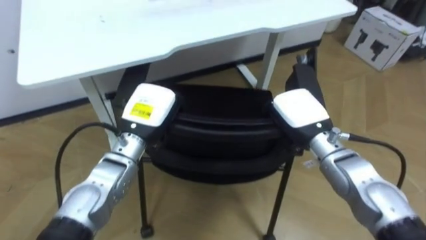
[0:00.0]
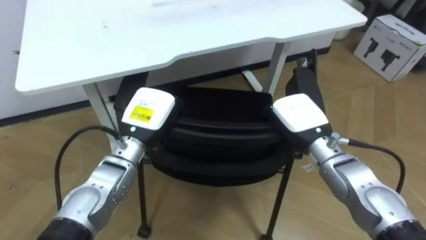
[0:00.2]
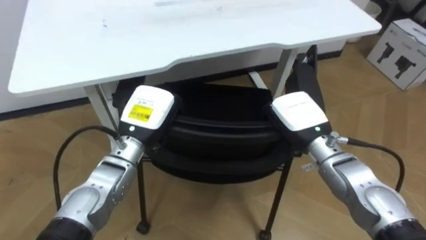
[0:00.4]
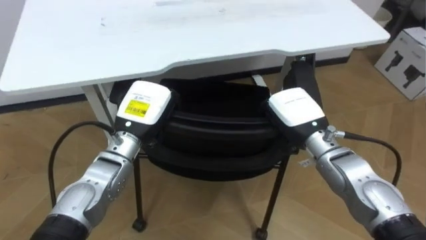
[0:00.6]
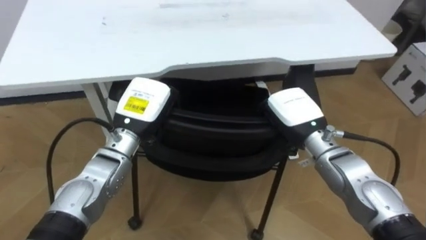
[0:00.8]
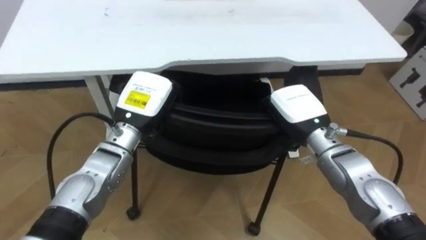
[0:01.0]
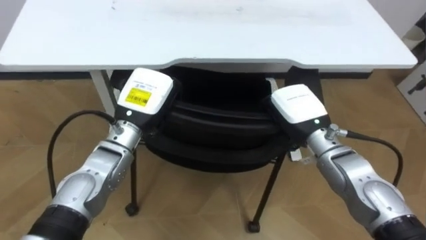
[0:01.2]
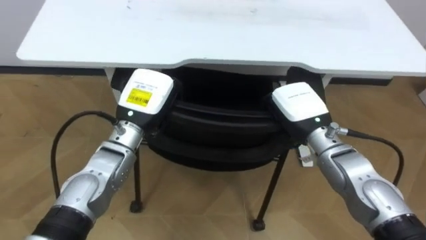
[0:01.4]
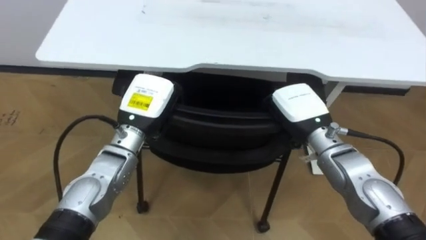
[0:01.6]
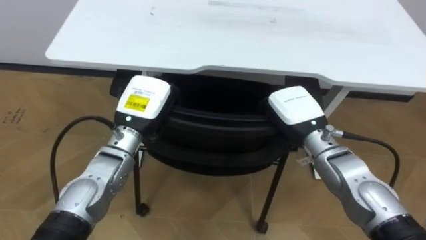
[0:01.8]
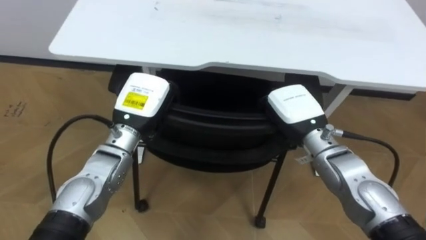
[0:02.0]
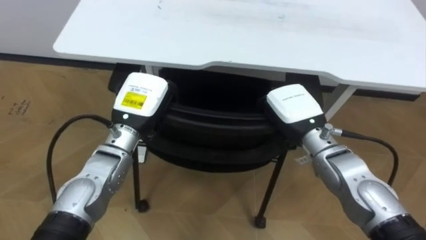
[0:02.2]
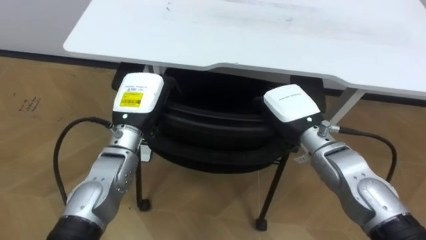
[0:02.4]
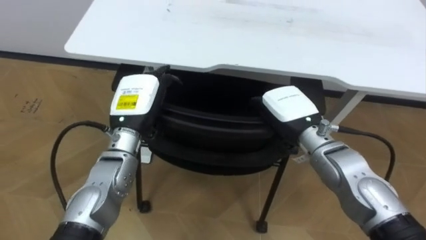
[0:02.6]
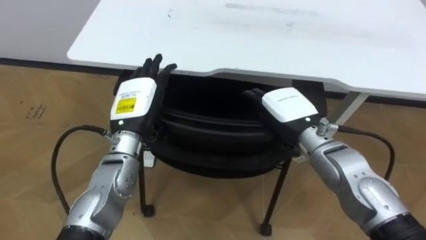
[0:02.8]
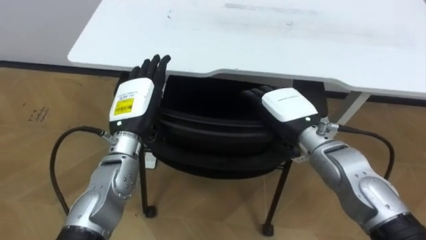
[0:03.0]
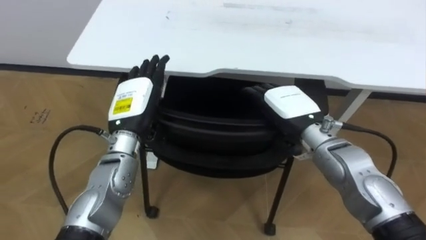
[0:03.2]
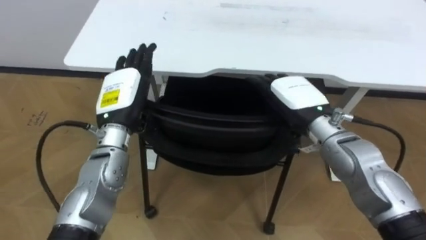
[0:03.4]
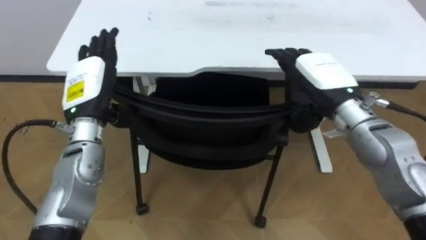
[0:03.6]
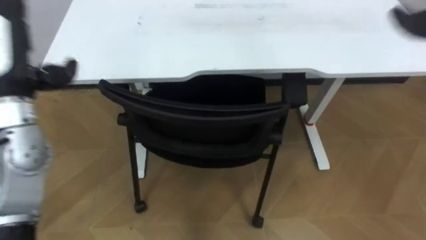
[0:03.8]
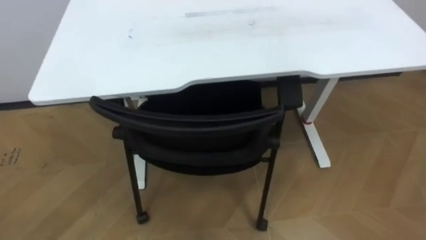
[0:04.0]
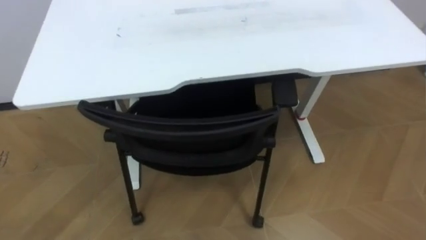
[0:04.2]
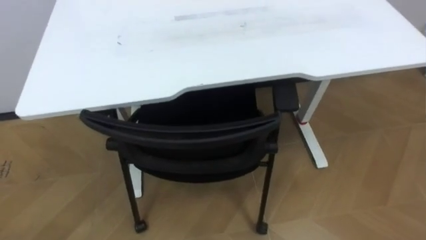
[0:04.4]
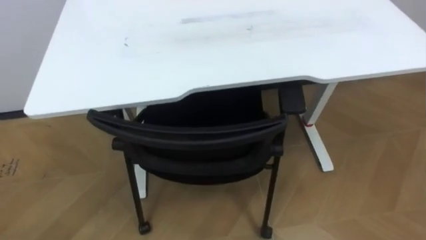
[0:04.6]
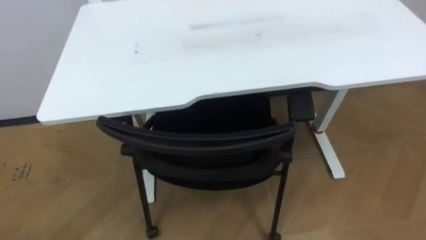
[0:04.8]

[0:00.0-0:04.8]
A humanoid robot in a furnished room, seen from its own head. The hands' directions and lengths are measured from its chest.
Task of the whole recording: Push the chair under the table.
0:00.0 to 0:01.6: The robot rotates about 20 degrees to its left.
0:01.6 to 0:03.2: The left hand opens; the right hand opens.

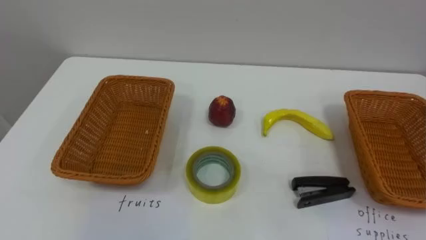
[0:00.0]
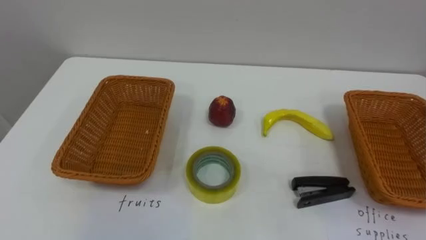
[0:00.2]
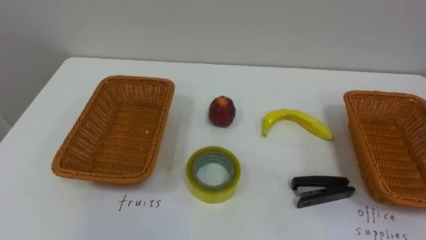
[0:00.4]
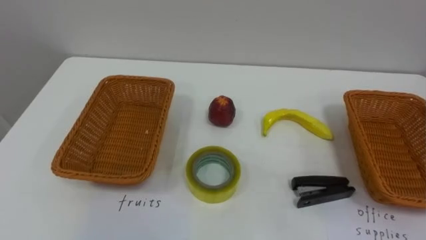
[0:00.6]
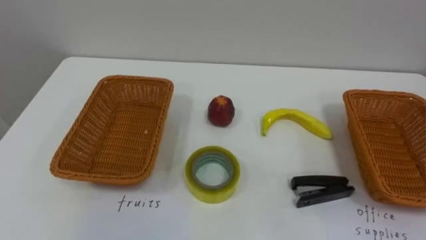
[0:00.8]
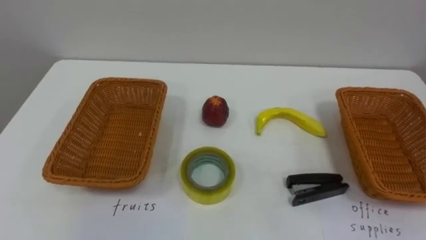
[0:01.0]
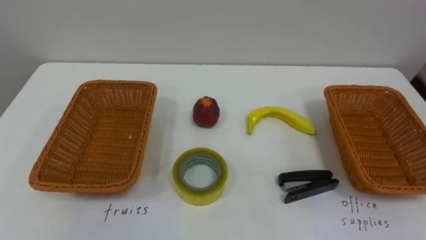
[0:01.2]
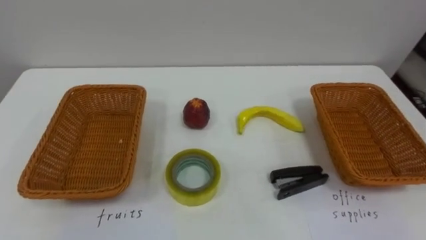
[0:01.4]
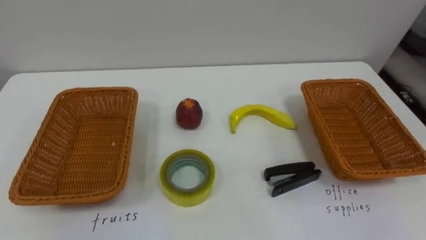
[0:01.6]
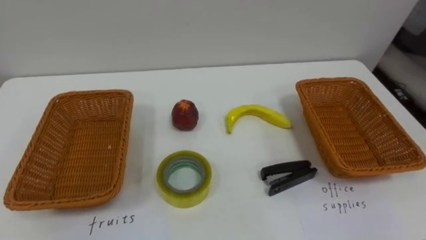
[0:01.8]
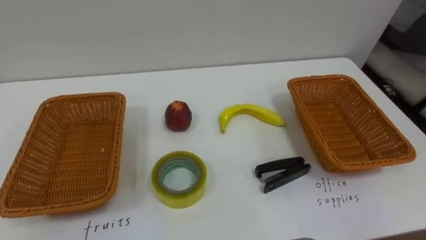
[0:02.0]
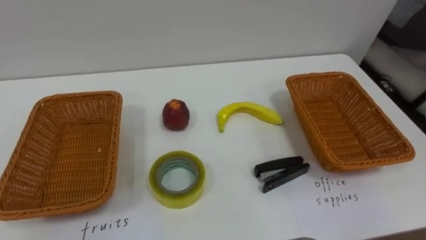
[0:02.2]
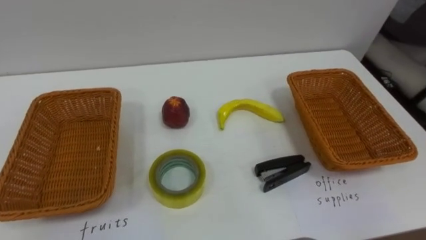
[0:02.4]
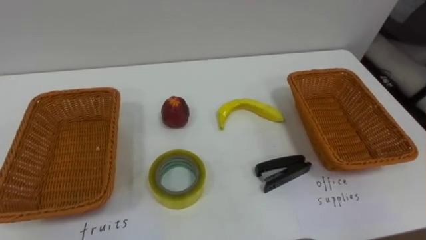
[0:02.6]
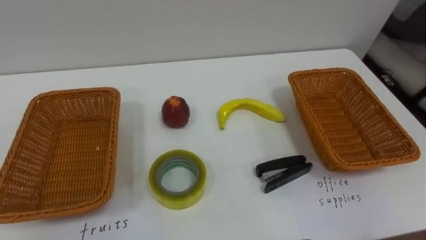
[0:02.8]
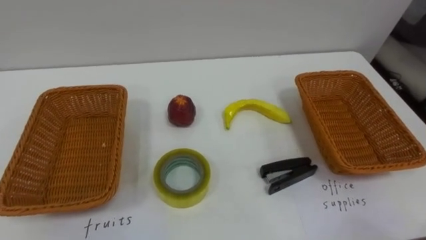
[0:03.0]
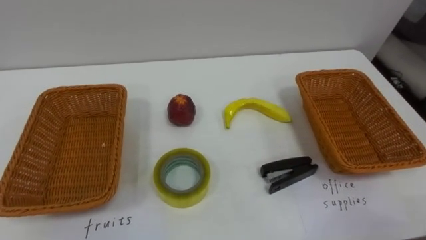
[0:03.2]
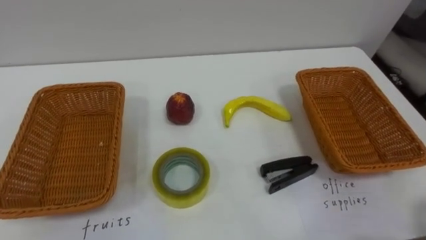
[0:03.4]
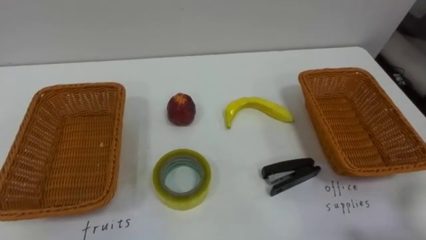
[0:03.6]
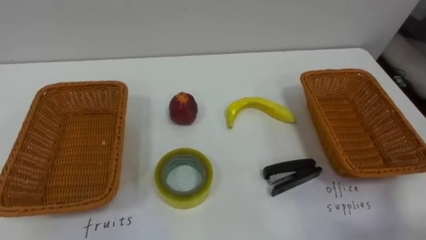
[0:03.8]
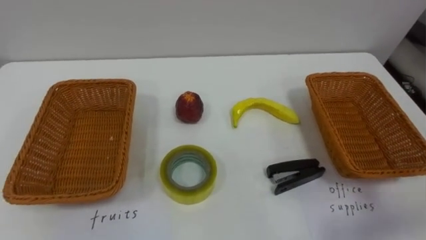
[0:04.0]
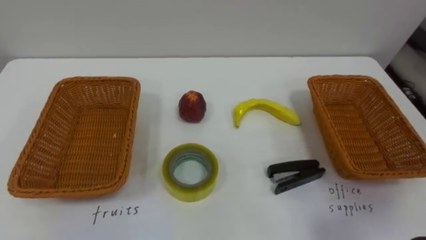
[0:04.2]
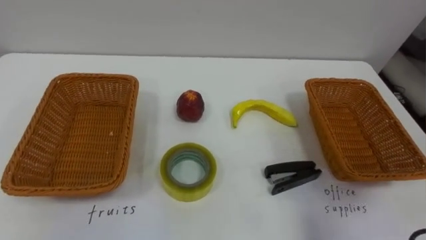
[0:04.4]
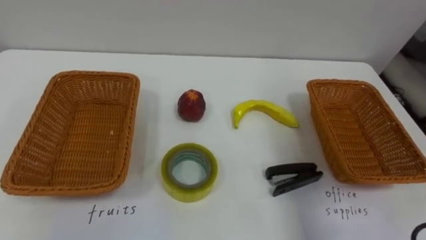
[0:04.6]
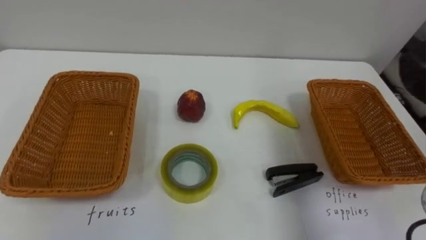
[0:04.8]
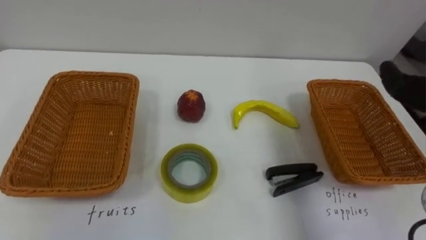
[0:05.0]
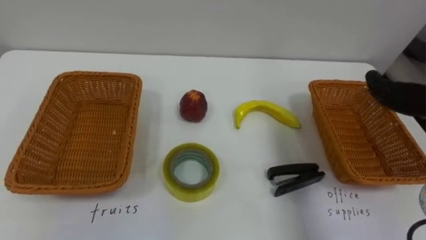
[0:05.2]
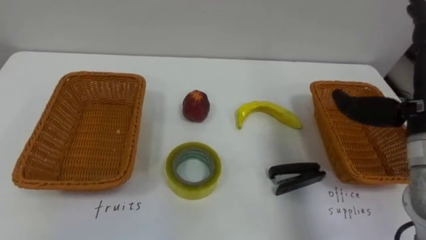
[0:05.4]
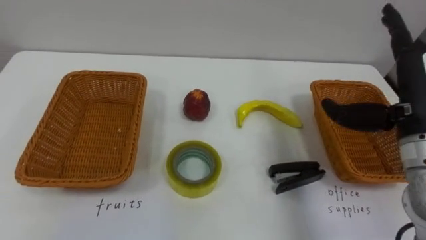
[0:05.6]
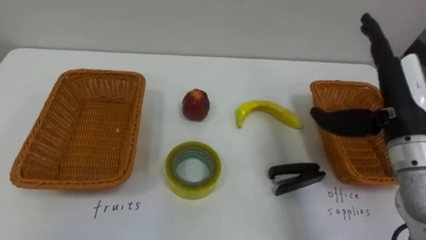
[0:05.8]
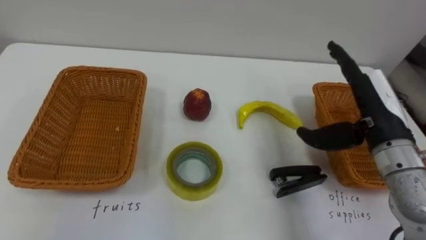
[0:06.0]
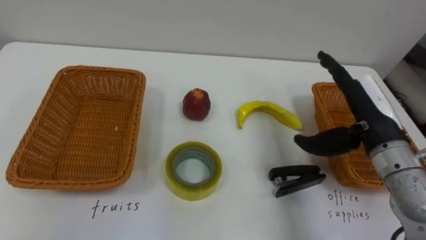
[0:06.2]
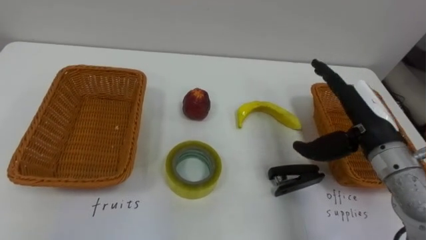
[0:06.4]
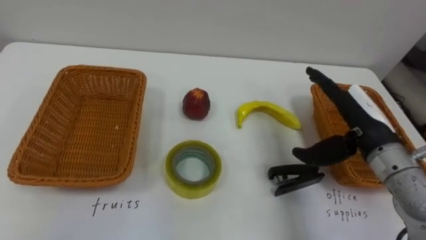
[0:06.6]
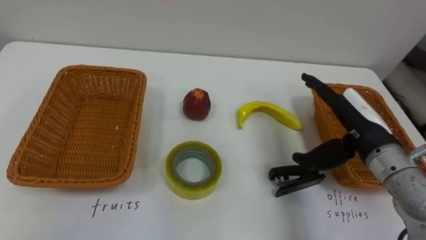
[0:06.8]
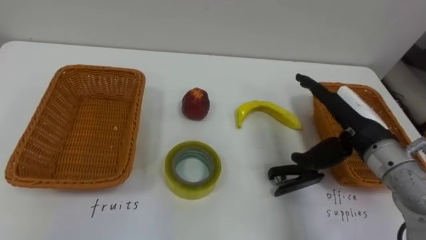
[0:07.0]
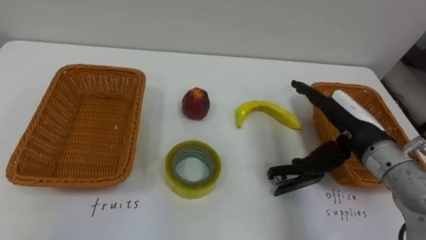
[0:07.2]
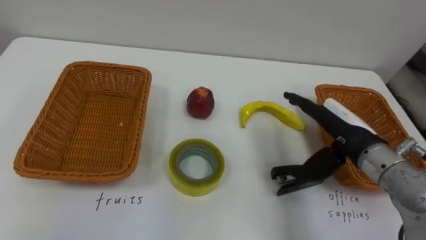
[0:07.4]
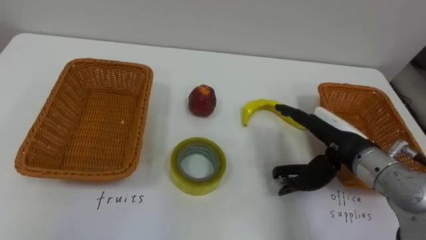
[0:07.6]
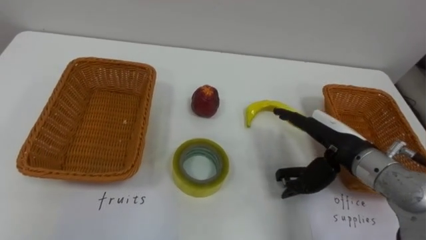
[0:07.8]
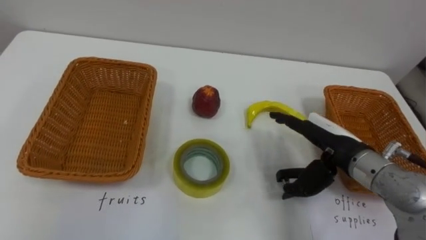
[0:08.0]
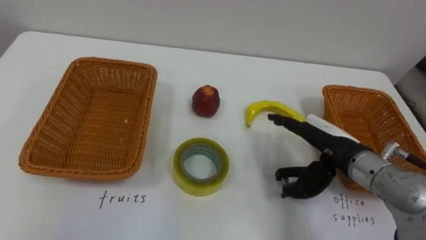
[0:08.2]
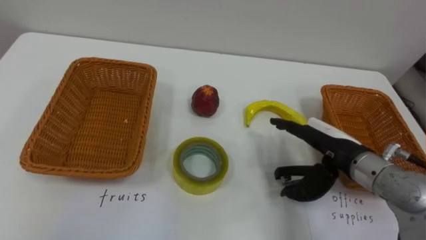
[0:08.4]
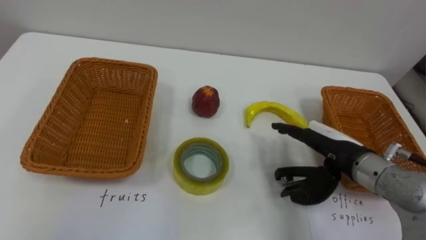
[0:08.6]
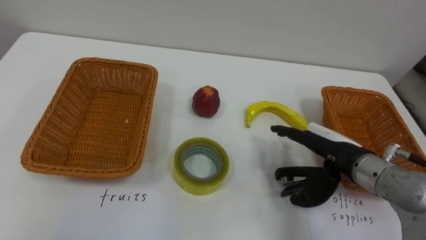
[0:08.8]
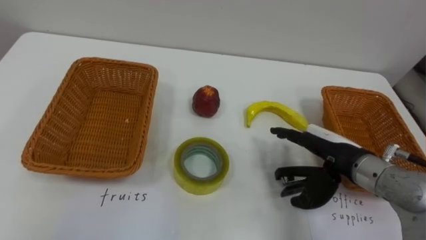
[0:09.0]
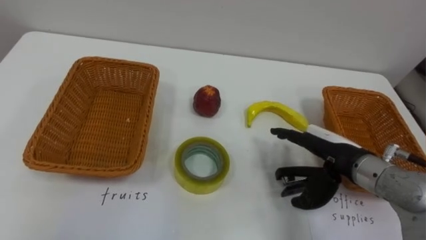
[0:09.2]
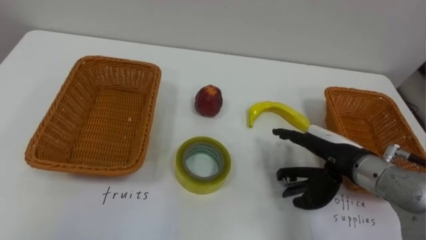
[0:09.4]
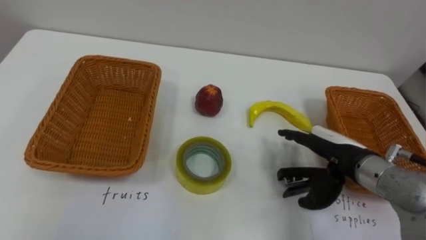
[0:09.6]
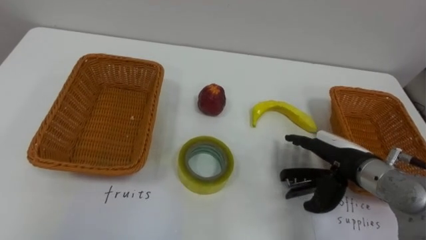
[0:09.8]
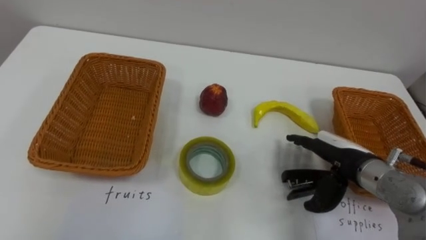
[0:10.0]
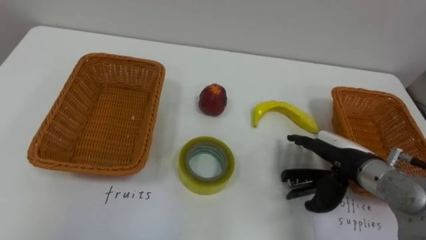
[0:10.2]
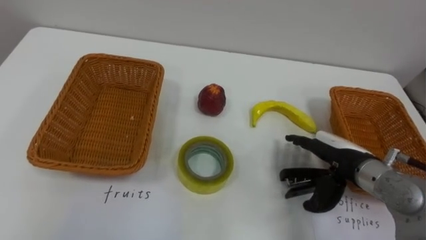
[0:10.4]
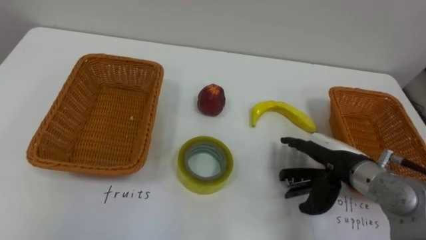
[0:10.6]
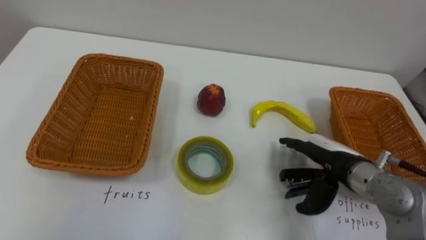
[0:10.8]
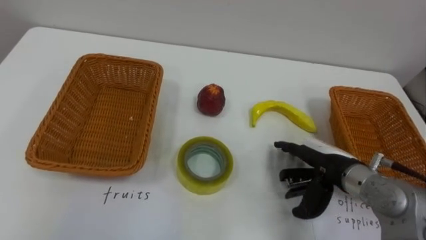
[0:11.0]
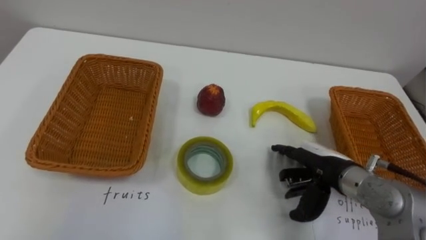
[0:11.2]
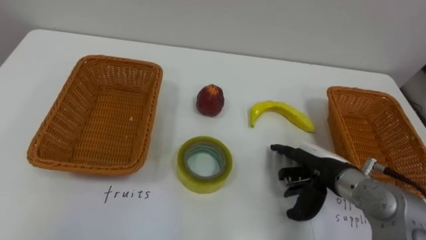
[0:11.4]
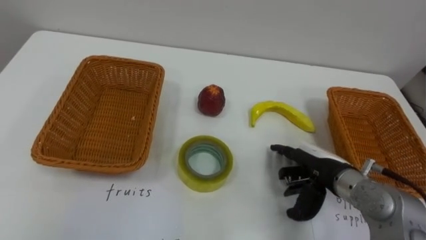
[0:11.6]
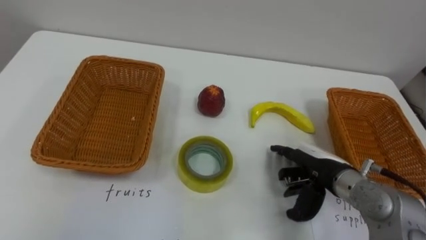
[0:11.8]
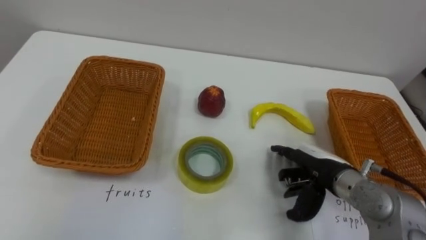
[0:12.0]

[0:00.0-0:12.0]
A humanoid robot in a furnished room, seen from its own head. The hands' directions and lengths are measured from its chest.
Task of the whole recording: Separate the items on the table and place them into the two baskets.
0:06.0 to 0:07.6: The right hand heads downward, covering roughly 5 cm.
